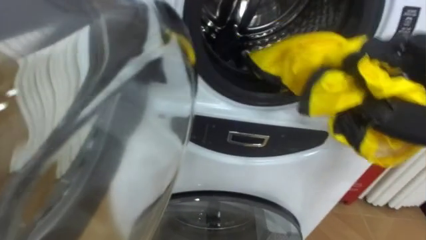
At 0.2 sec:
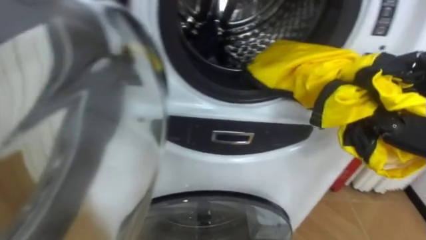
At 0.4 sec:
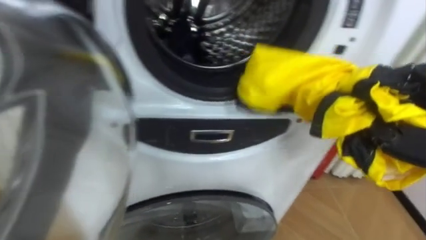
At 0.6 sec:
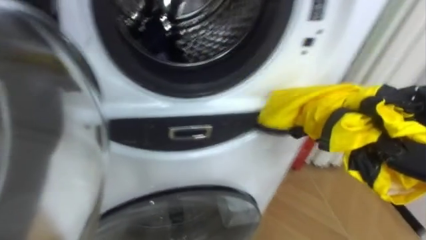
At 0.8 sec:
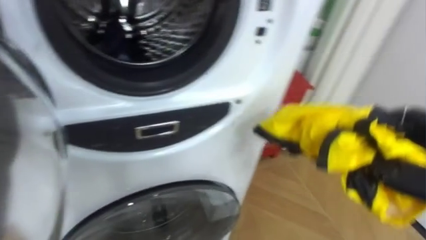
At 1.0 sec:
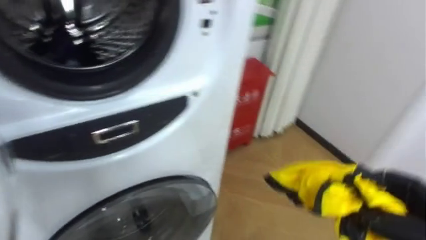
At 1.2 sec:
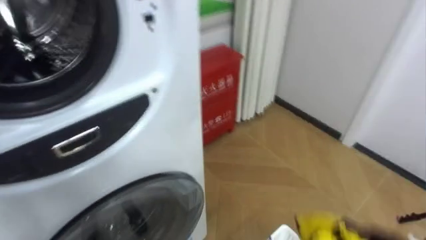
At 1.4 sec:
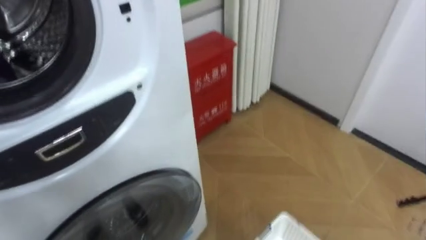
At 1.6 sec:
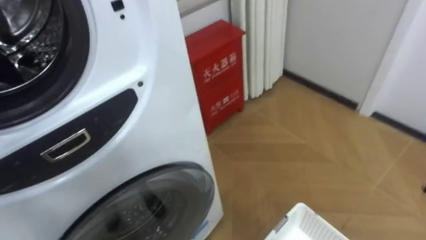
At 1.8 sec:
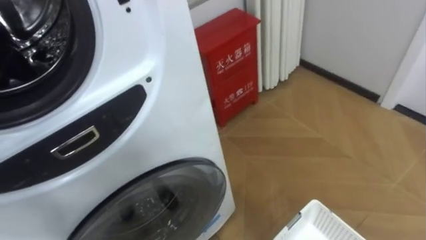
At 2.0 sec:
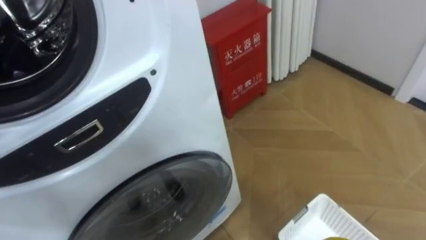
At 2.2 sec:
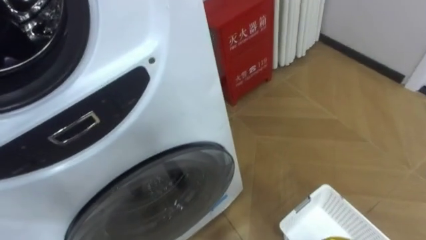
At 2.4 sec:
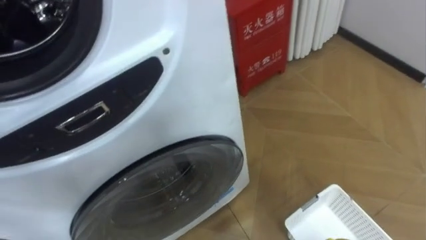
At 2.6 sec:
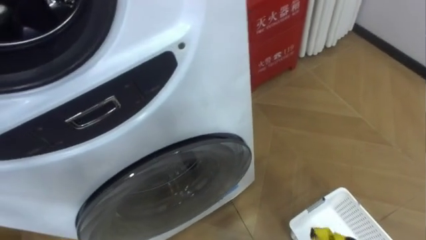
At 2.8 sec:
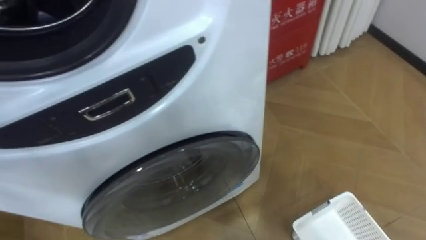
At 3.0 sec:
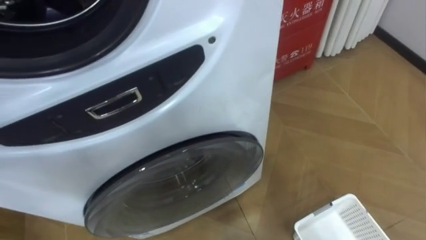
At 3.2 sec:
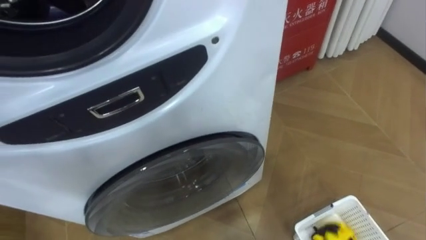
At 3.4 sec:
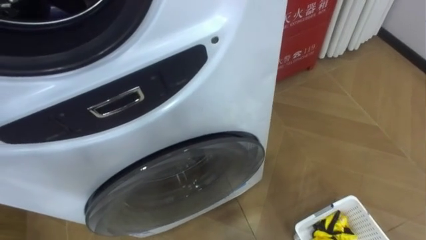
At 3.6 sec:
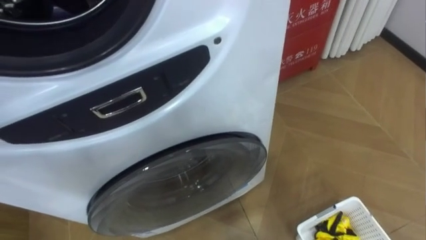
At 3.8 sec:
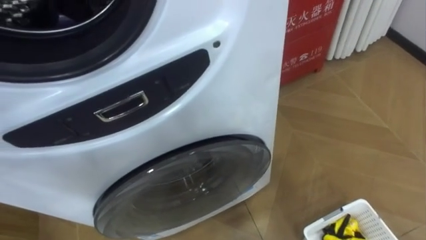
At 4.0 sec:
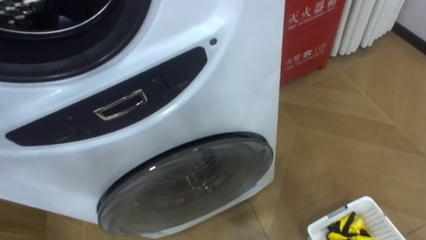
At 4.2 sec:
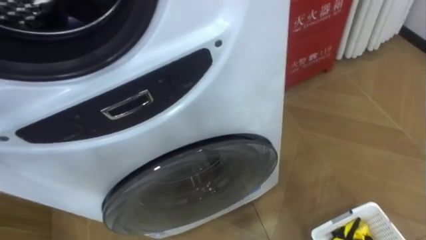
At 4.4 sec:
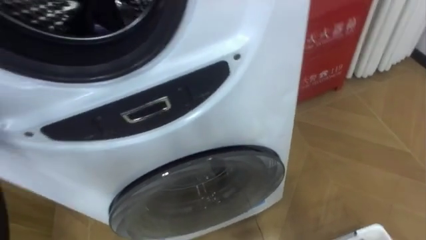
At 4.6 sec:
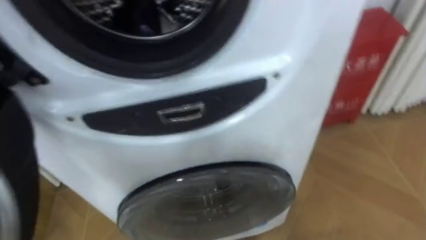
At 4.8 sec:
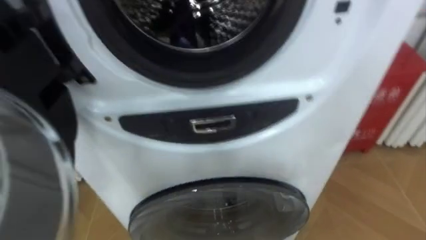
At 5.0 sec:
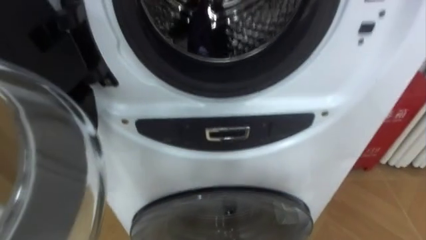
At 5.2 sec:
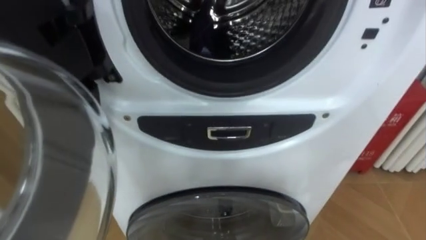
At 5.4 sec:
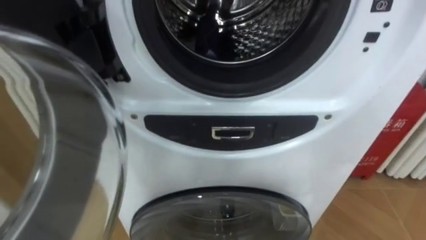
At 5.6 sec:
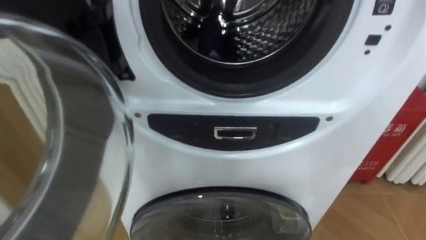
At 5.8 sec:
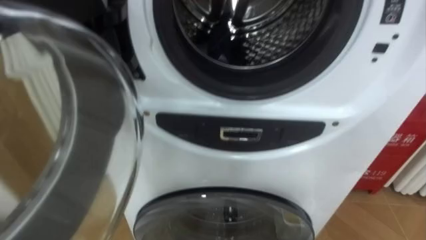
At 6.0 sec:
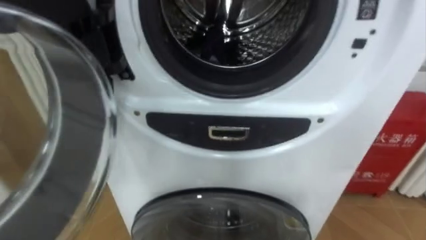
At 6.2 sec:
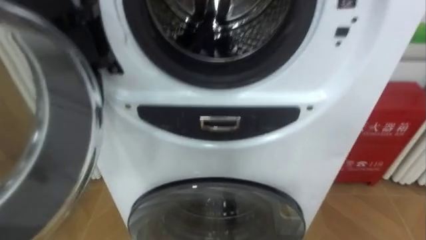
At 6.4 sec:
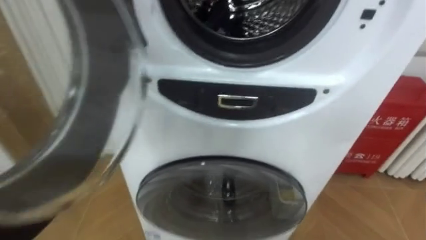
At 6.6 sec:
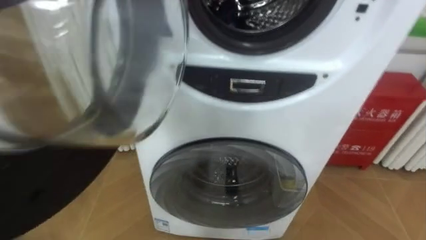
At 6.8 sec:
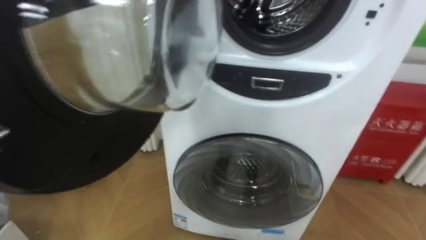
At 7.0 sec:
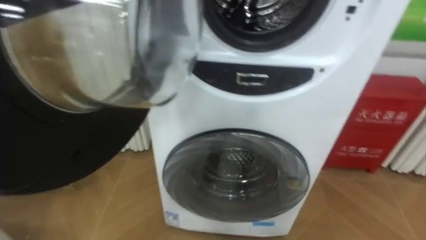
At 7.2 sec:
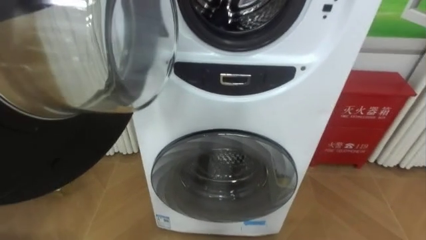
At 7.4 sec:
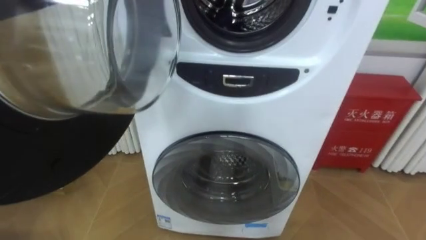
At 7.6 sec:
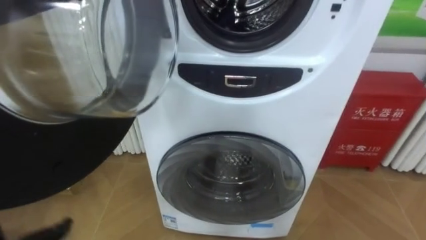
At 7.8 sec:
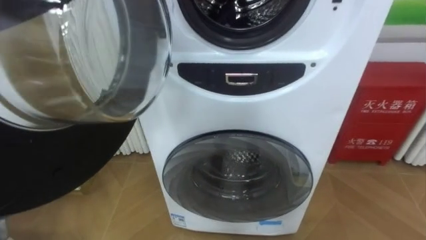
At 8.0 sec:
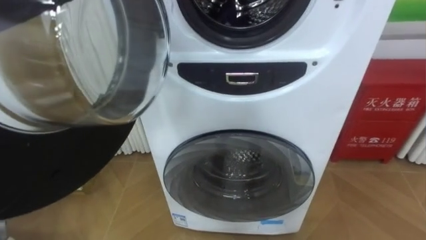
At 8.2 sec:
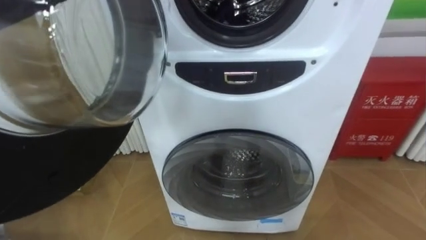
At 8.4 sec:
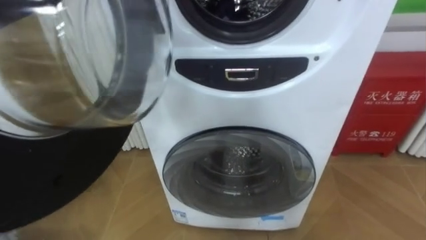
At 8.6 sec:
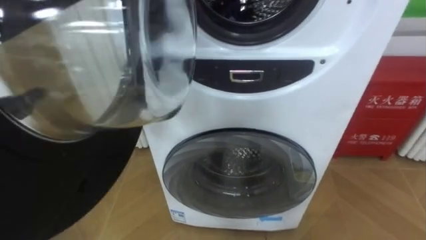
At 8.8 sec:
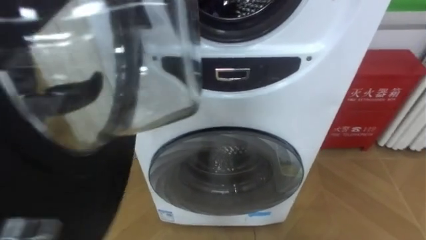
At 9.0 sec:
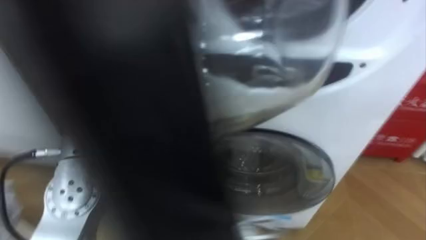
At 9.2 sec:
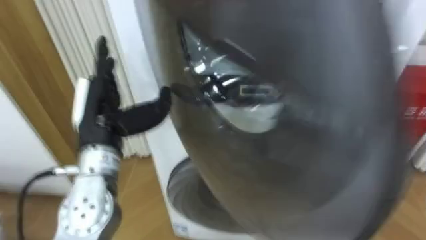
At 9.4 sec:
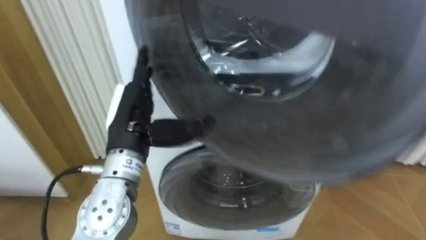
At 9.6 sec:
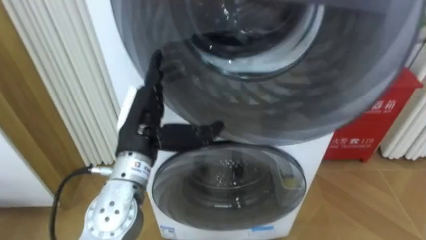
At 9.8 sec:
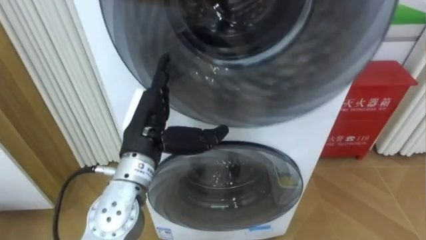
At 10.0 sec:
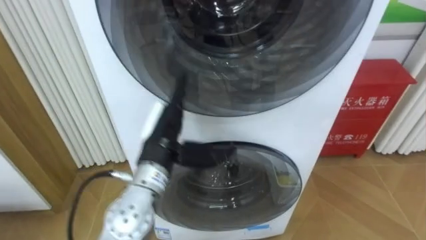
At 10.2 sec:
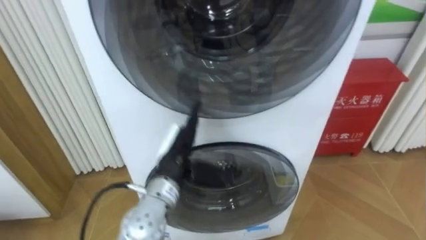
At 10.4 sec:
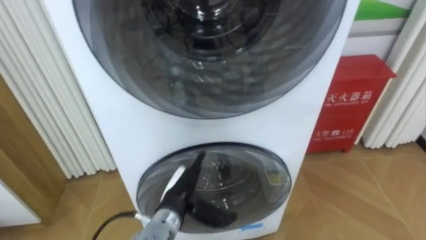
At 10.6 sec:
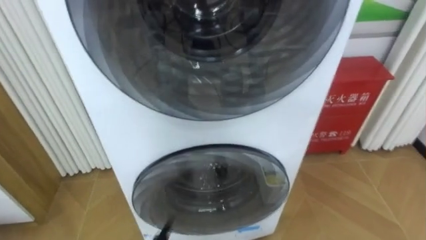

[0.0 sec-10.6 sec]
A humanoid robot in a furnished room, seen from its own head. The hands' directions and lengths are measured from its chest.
Task of the whole recording: Open the washing machine door, take out the yellow clothes, place them in the box on the right, and close the washing machine door.
0.0 sec to 1.6 sec: The robot turns to its right by approximately 30 degrees.

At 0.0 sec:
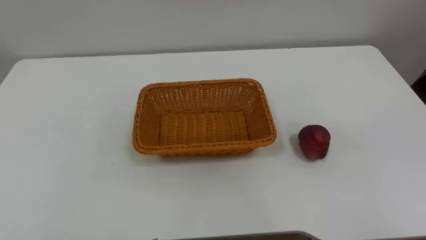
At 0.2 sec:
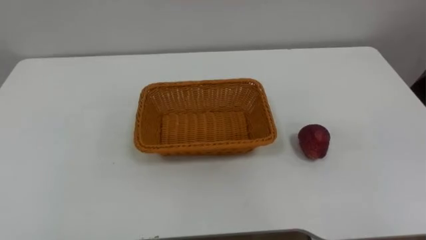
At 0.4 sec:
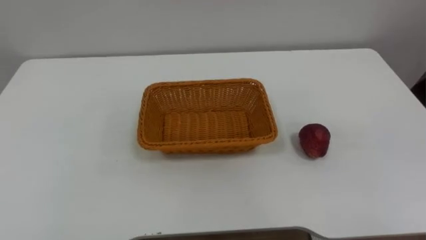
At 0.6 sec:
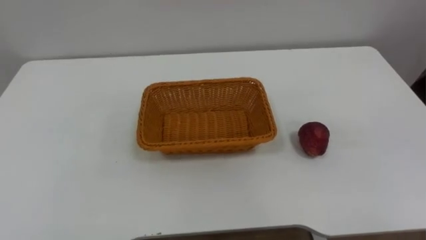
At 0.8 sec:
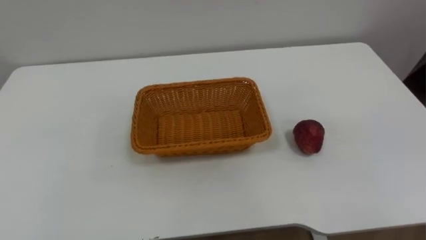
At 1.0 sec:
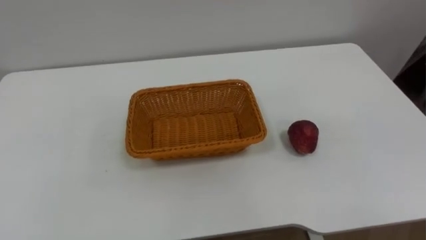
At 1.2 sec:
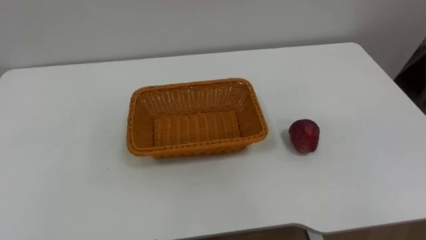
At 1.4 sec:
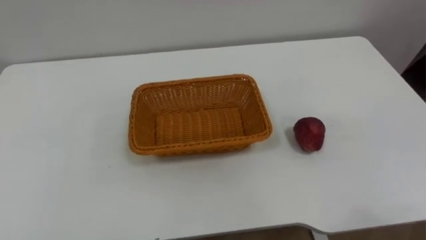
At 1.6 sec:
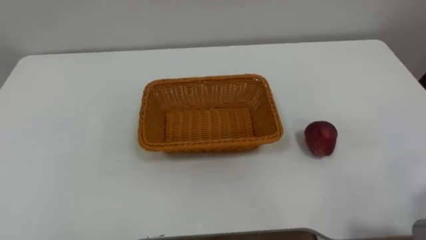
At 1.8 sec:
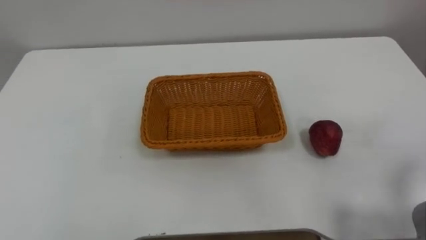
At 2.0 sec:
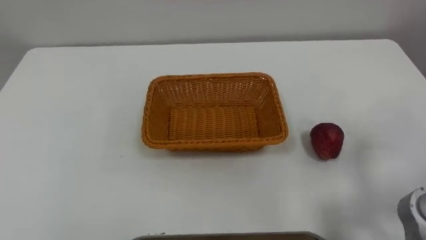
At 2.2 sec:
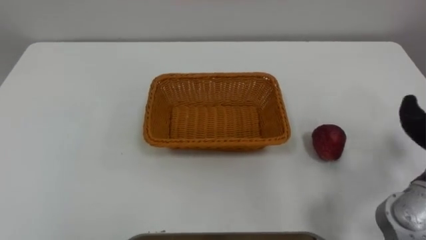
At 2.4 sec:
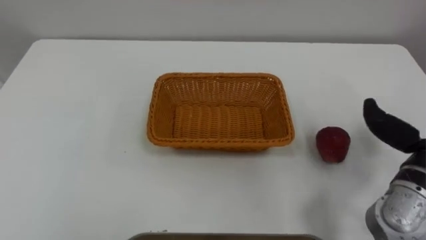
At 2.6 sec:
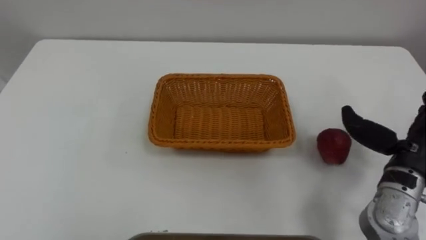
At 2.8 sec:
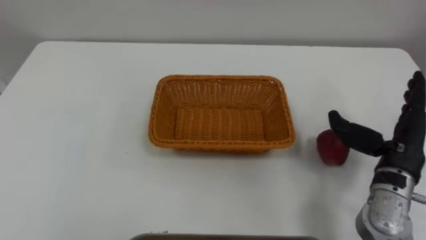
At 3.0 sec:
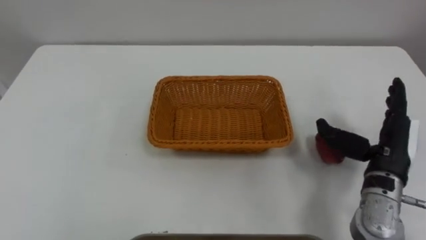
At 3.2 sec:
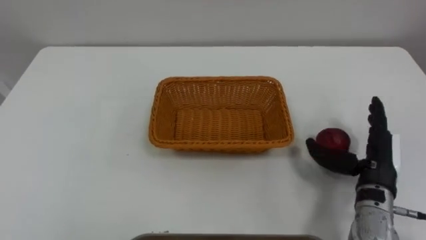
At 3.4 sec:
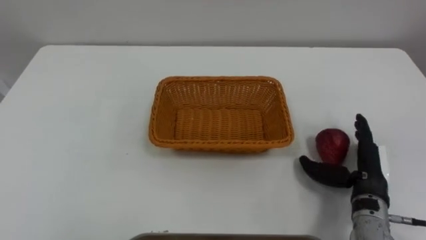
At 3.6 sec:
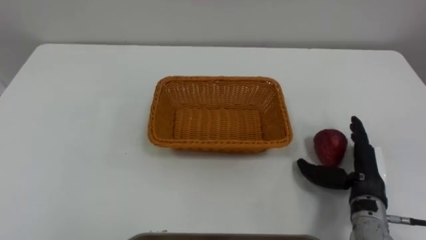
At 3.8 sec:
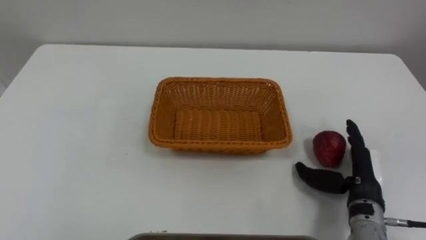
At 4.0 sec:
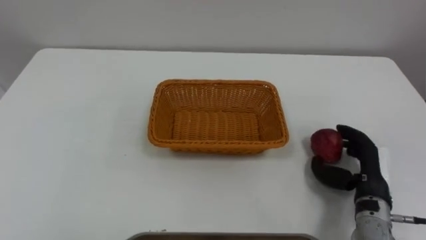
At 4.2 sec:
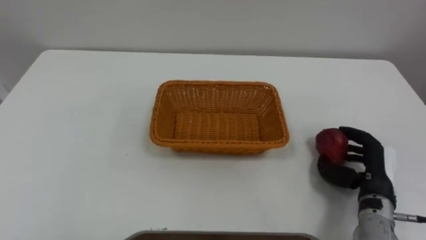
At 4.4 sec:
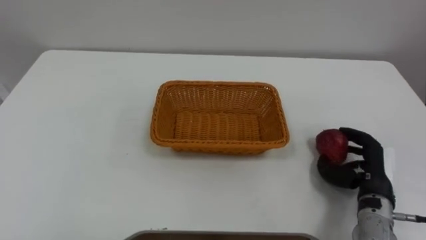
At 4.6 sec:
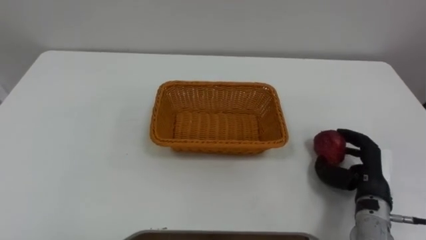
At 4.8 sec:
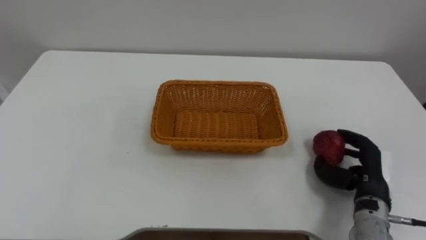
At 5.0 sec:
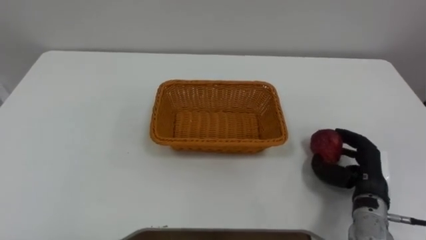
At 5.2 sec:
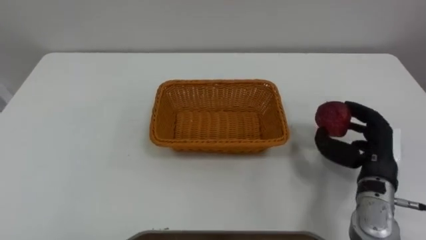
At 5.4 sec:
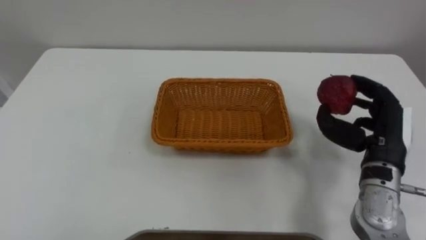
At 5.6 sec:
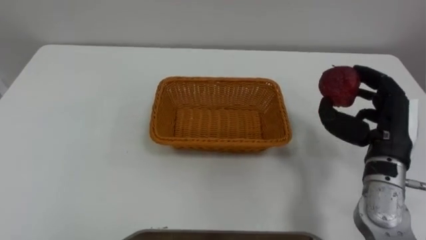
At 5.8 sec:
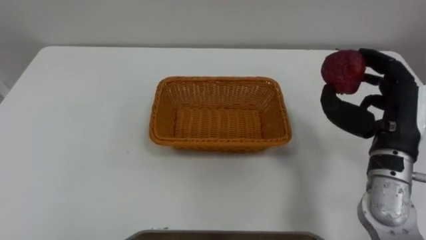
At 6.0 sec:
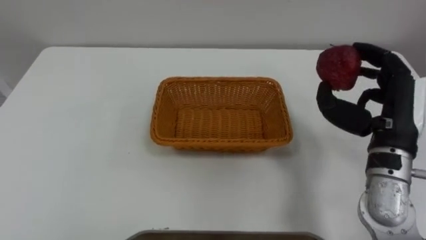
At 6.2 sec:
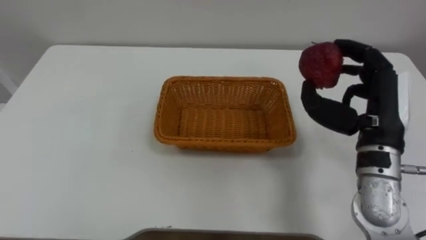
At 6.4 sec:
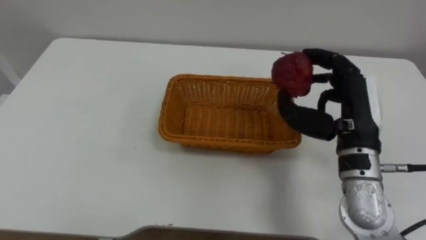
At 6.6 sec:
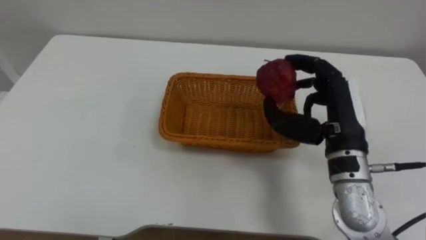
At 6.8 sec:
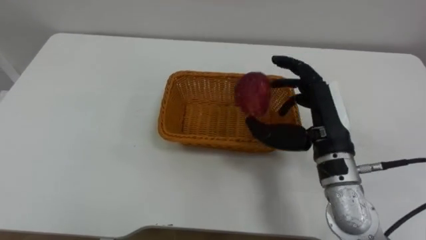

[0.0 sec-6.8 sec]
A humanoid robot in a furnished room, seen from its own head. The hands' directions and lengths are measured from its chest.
Task of the whole recording: Pick the apple and place it in the box.
2.8 sec to 4.0 sec: The right hand is displaced downward by roughly 10 cm.
4.0 sec to 5.4 sec: The right hand moves upward, roughly 10 cm.
5.4 sec to 6.8 sec: The right hand shifts about 10 cm to the left.
